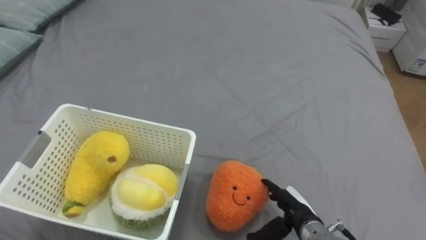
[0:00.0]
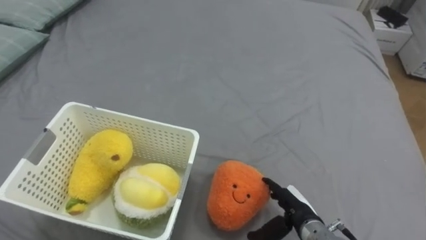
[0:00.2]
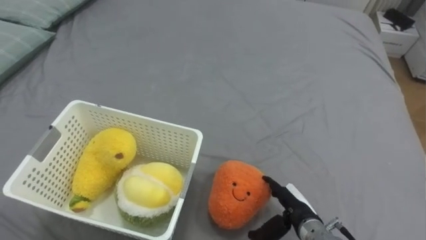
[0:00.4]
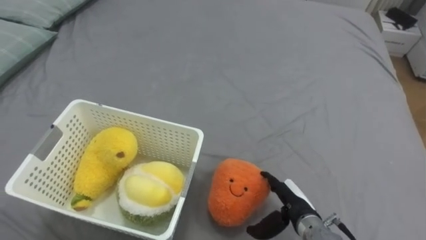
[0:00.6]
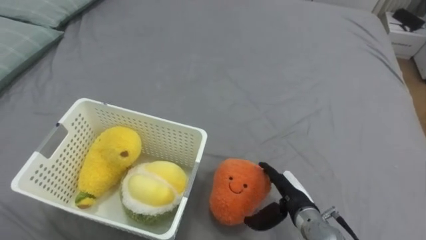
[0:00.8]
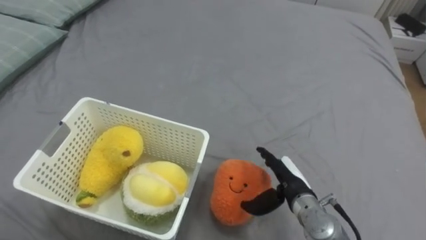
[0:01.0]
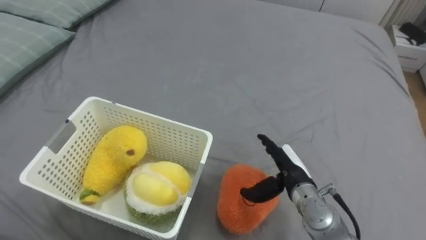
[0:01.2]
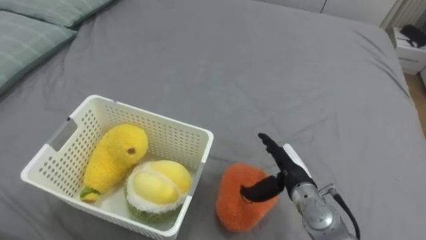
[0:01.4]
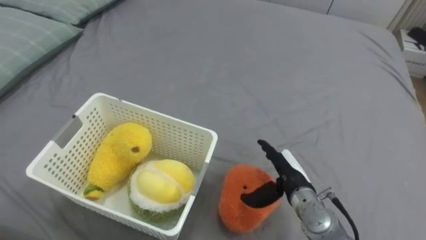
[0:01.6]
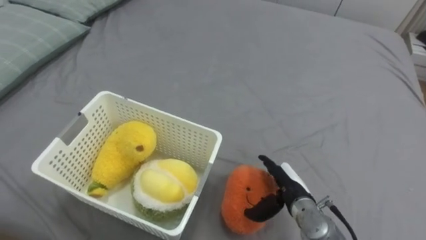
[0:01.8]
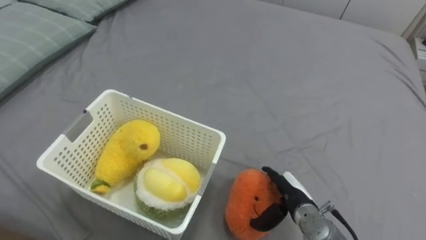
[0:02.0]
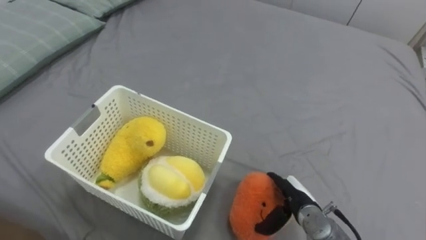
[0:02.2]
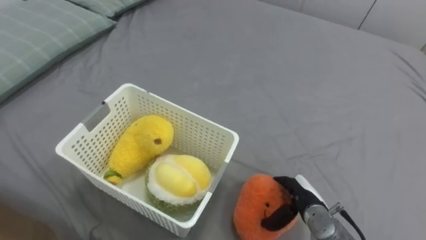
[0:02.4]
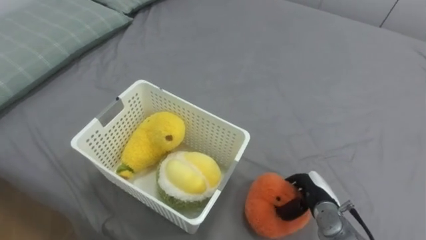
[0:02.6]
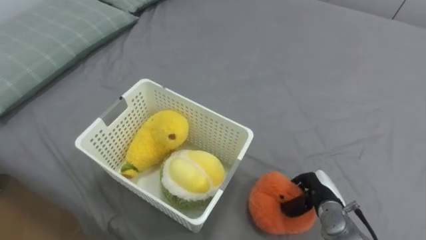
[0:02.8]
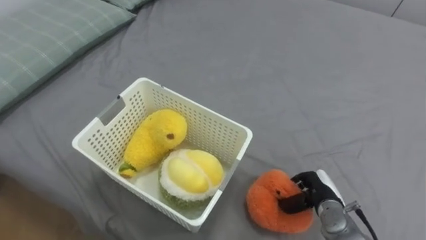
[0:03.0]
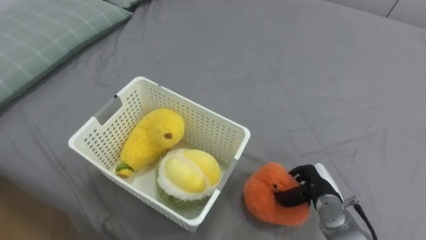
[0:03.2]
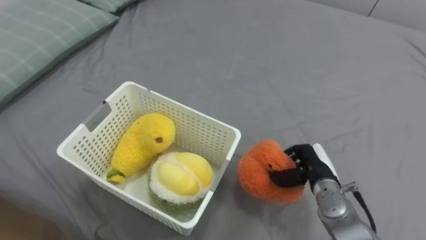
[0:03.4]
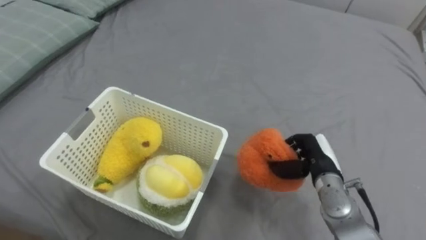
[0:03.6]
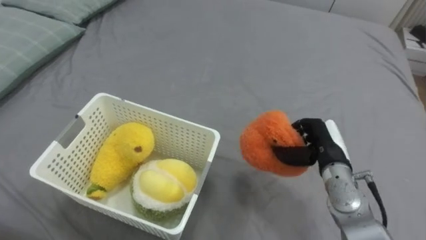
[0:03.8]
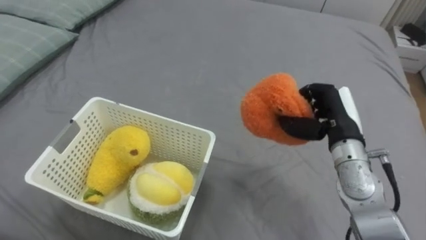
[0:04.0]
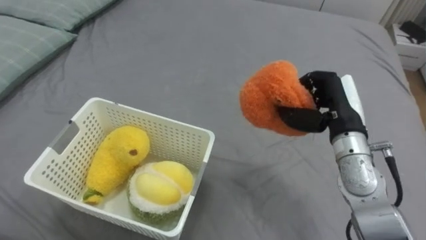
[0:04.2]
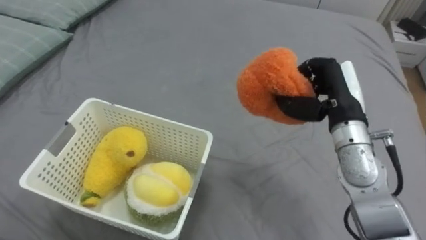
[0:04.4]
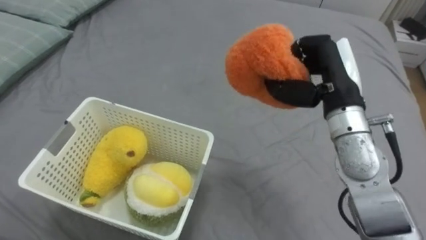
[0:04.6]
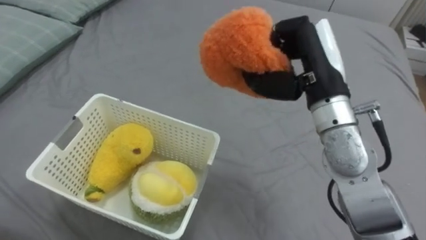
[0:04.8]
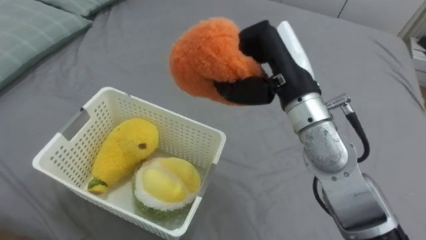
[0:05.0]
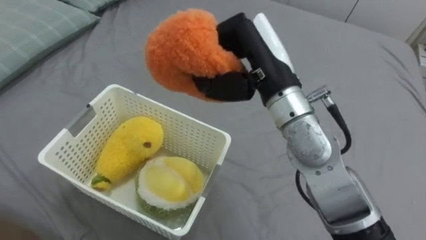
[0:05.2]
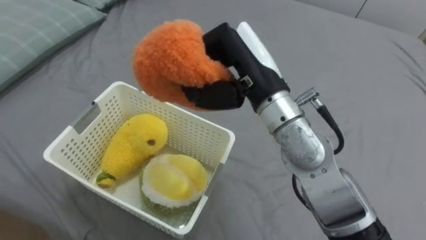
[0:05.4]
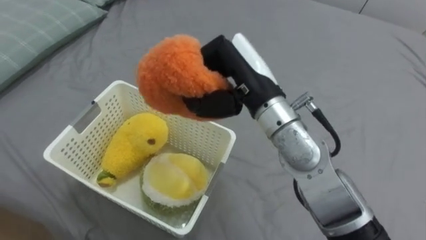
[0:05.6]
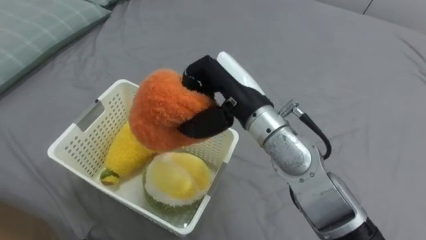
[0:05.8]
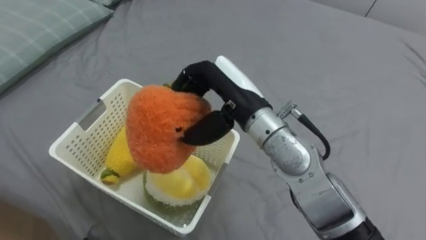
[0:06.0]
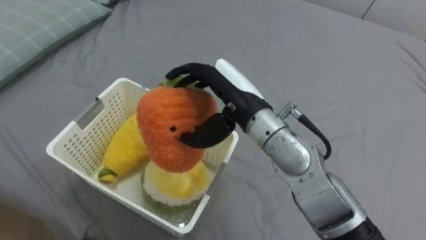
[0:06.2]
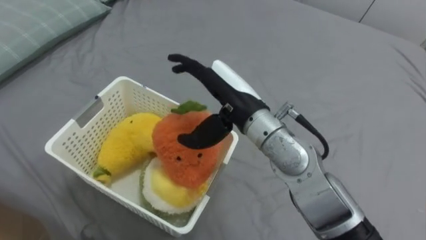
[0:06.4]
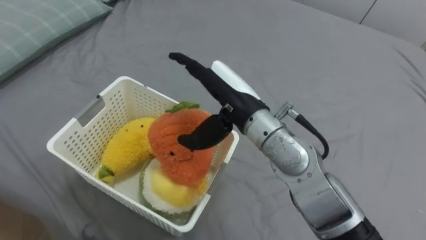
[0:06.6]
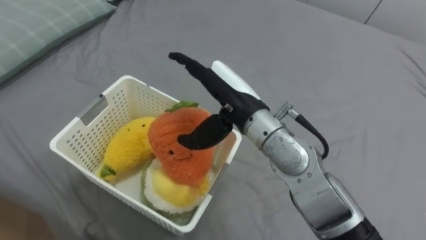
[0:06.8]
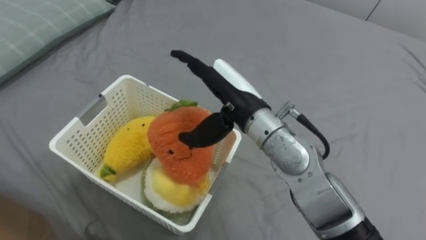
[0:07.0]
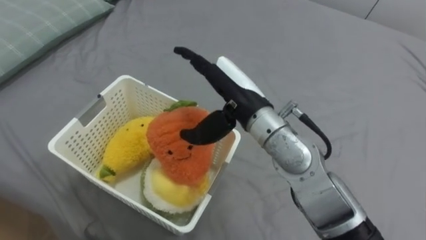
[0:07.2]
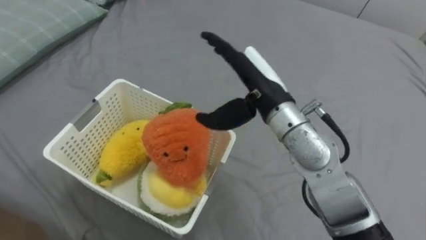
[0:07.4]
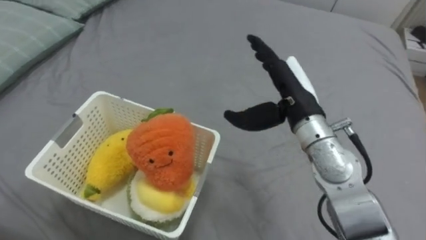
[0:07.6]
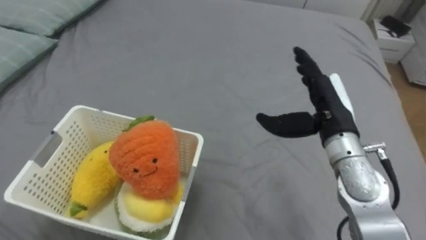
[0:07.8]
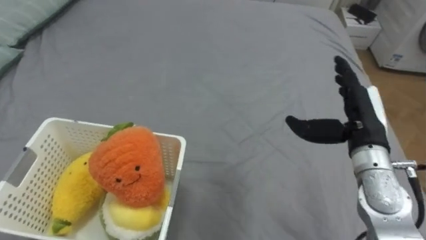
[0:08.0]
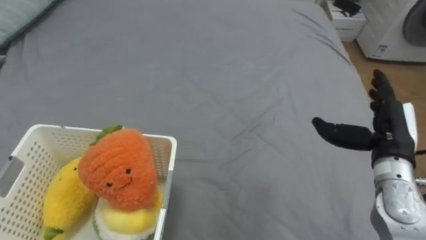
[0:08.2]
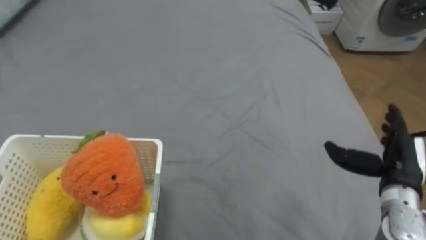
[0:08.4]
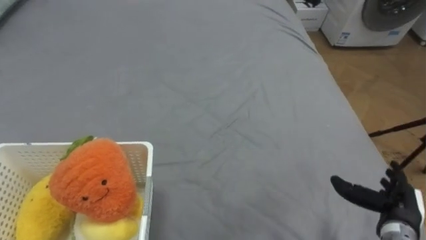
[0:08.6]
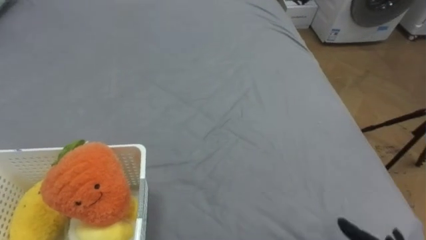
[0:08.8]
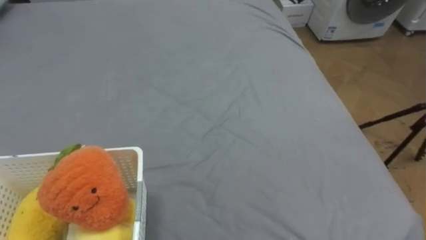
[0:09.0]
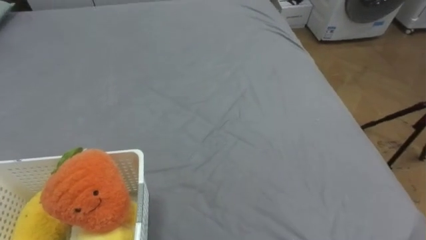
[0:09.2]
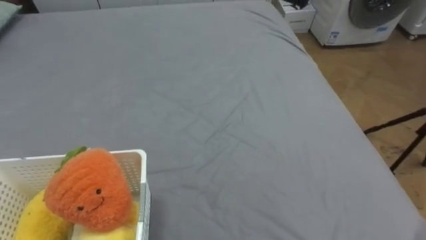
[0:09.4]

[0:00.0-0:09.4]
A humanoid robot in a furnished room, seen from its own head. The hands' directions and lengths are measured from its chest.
Task of the whole recording: Put the toys on the bed into the basket on the left.
0:00.0 to 0:01.6: The right hand shifts roughly 10 cm forward and upward.
0:01.6 to 0:03.2: The right hand travels to the right and downward by some 10 cm, and closes its fingers.
0:03.2 to 0:04.8: The right hand goes approximately 30 cm upward.
0:04.8 to 0:06.2: The right hand is displaced to the left by roughly 10 cm, and opens its fingers.
0:06.2 to 0:07.8: The right hand moves to the right, about 15 cm.

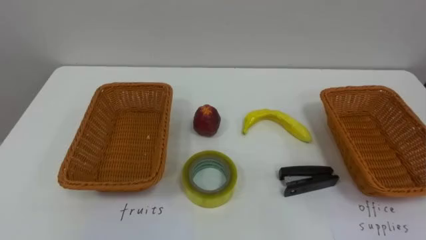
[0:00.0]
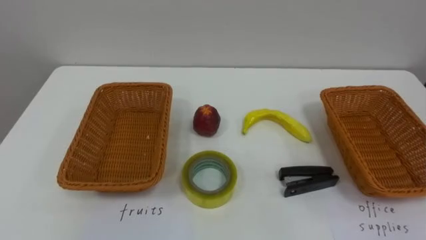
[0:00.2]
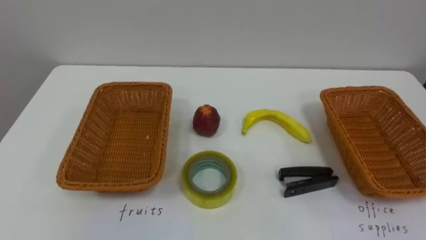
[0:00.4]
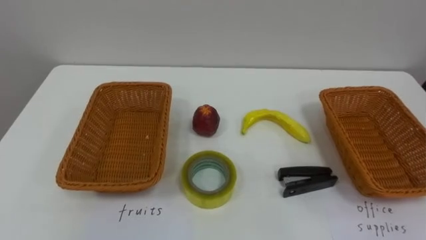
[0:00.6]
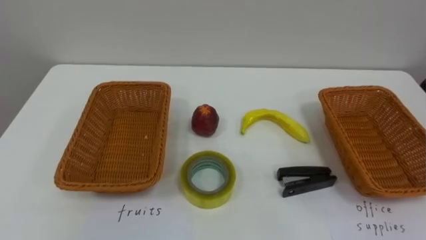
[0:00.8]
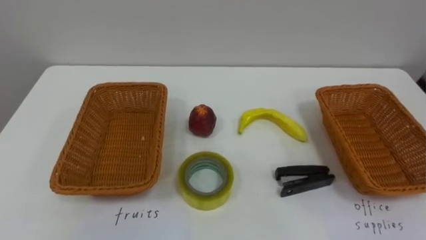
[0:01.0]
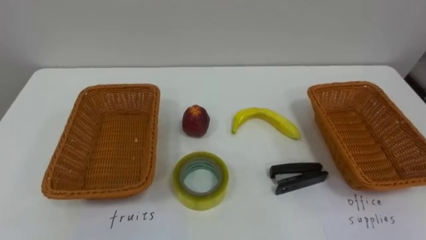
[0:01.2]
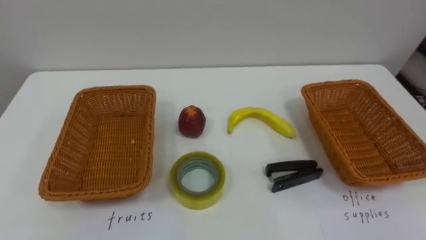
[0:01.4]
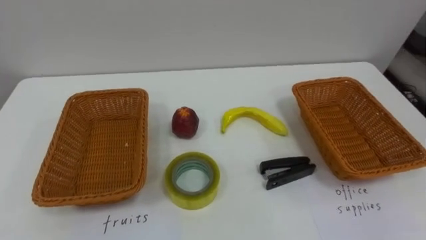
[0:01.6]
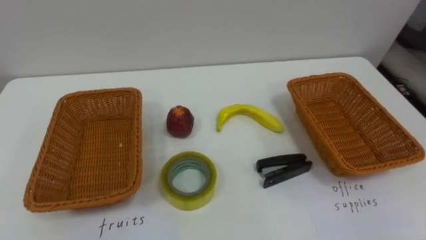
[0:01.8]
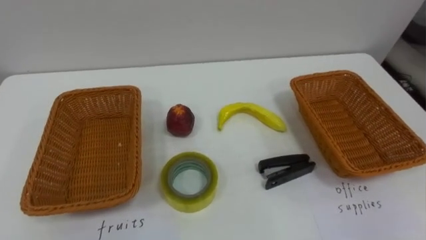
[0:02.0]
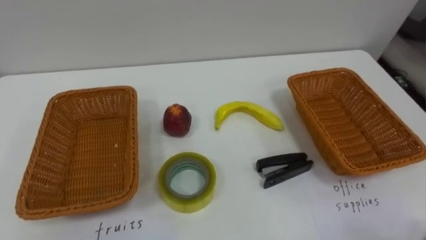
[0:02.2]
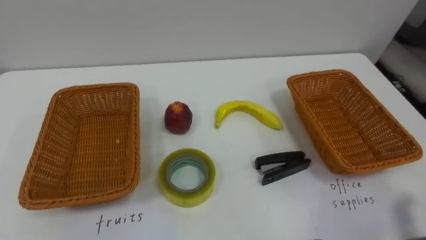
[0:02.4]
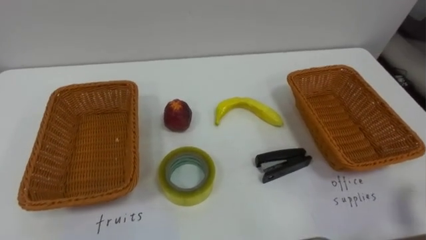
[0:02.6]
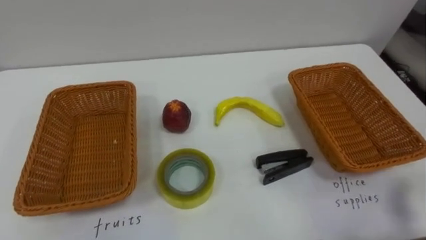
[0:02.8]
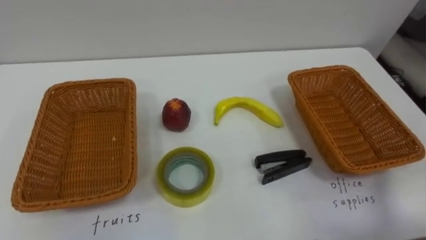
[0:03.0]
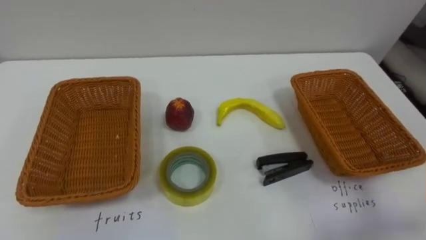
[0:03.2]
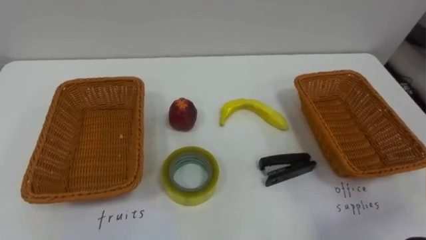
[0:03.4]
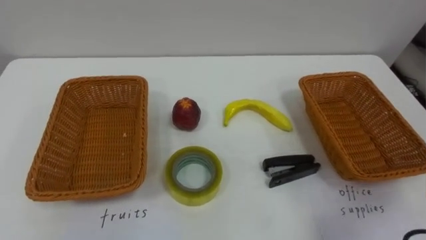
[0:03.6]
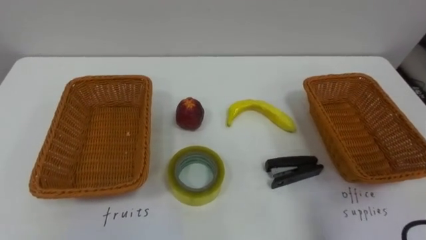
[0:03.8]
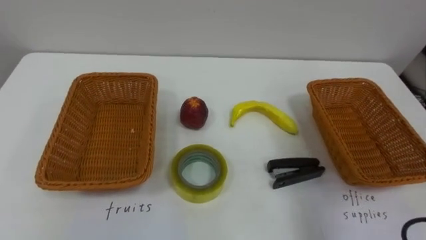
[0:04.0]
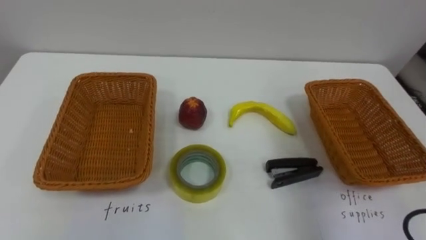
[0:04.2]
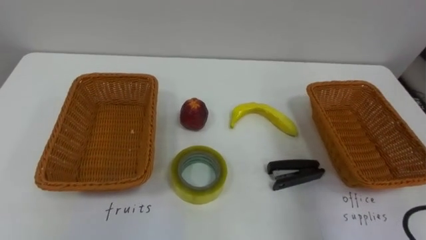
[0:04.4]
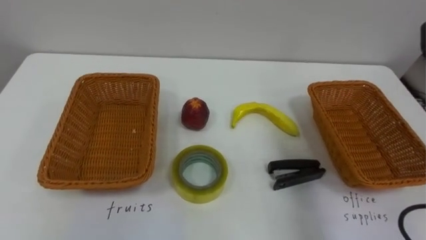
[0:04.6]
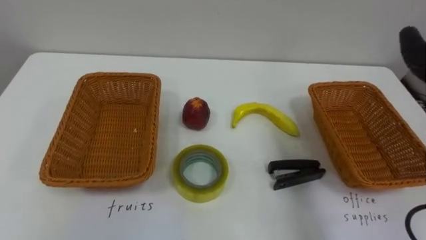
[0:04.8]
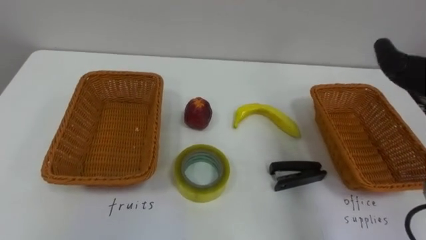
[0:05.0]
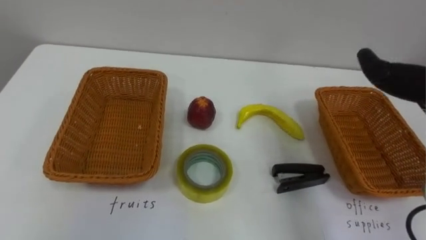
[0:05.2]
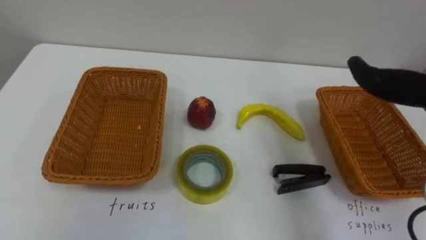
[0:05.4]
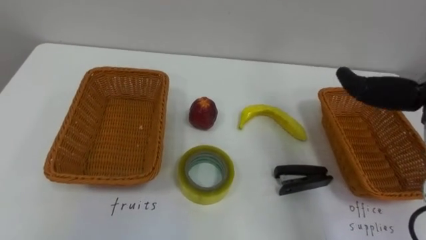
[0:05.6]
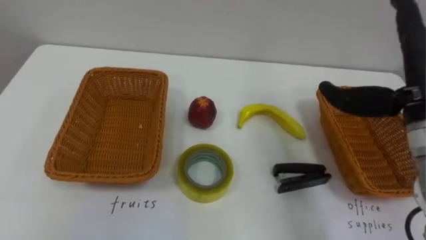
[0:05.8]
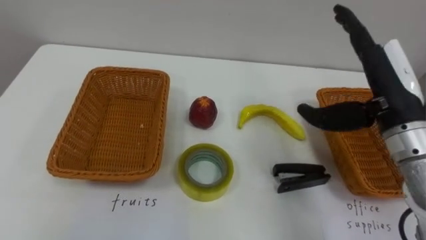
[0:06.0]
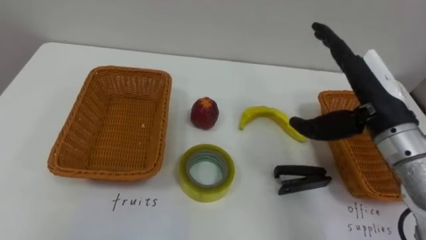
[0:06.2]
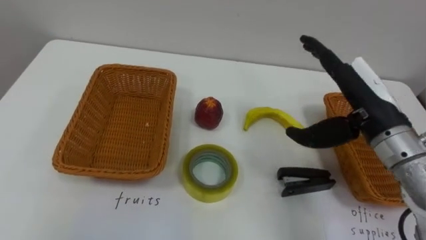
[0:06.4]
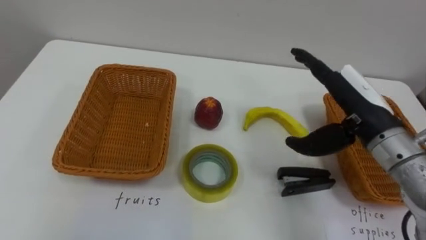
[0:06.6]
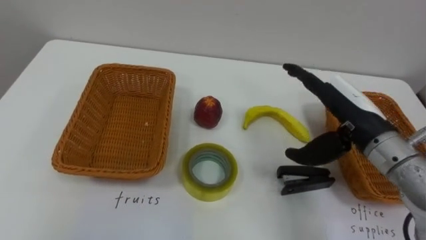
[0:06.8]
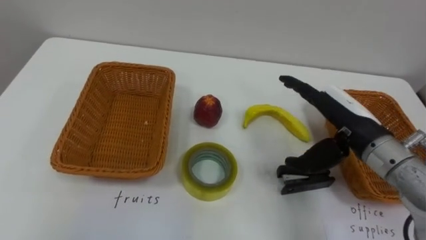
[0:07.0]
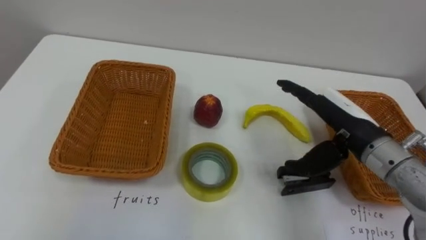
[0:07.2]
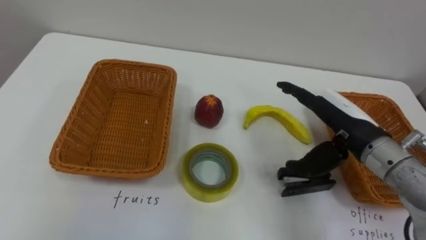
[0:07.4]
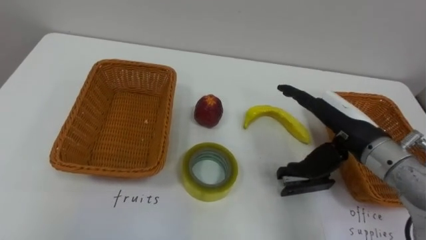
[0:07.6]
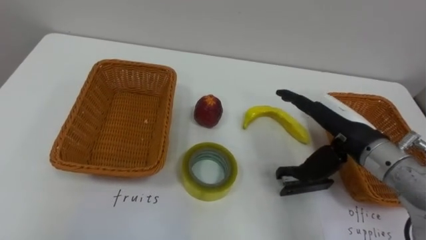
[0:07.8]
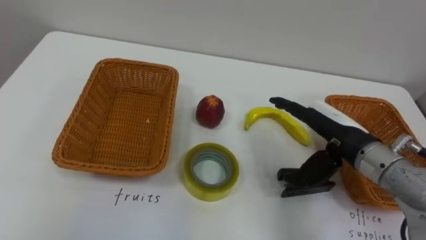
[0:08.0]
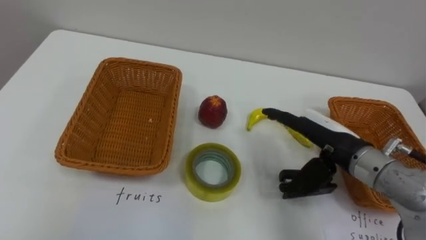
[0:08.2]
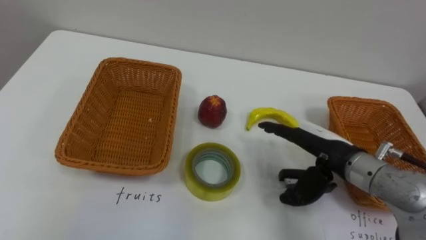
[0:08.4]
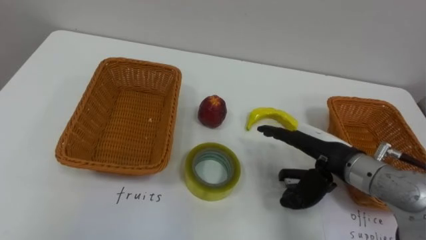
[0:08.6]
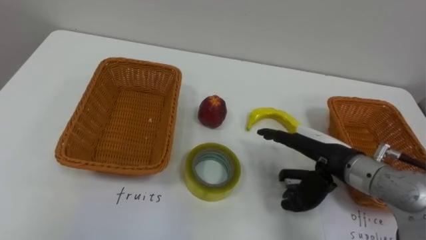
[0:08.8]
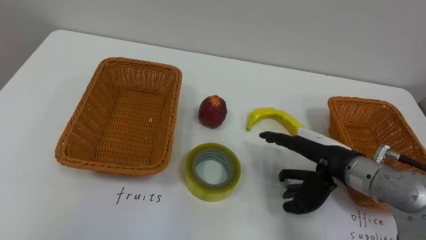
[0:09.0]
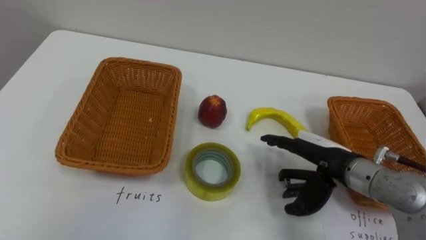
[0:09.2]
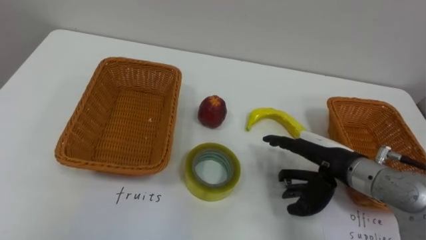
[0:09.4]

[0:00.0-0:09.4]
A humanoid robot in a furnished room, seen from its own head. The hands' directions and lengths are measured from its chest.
Task of the whole recording: Separate the items on the table and place them into the two baskets.
0:06.2 to 0:07.8: The right hand is displaced downward by about 5 cm.
0:07.8 to 0:09.4: The right hand travels downward by some 5 cm.
